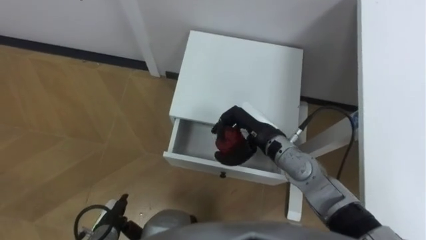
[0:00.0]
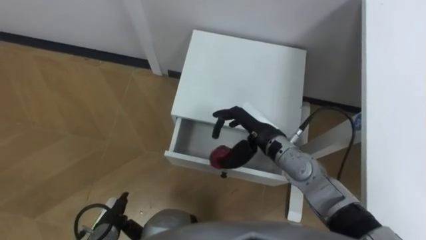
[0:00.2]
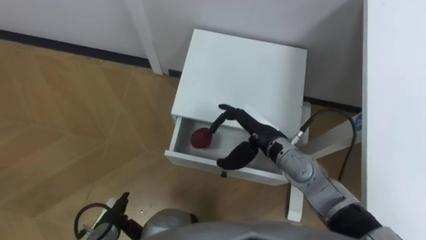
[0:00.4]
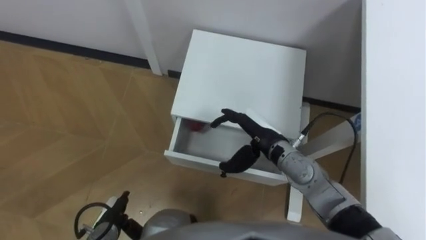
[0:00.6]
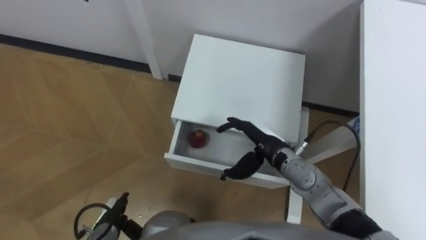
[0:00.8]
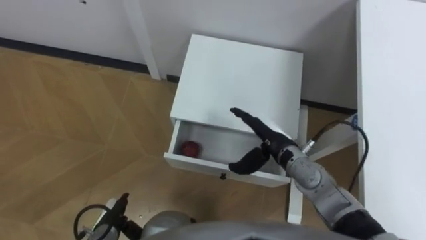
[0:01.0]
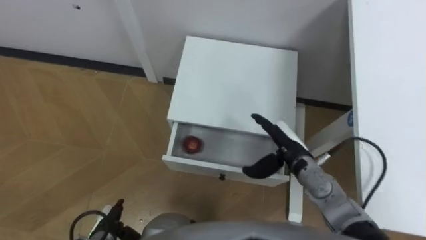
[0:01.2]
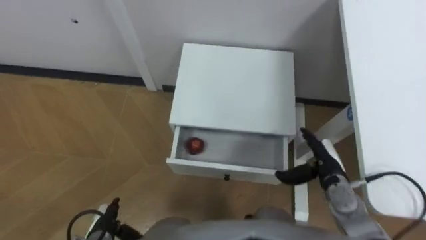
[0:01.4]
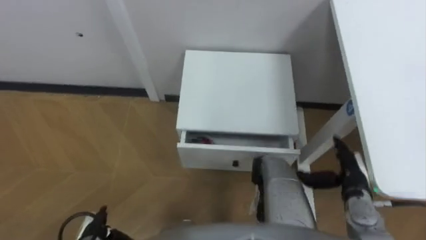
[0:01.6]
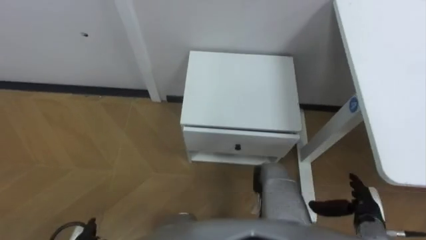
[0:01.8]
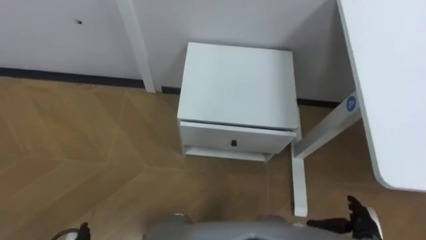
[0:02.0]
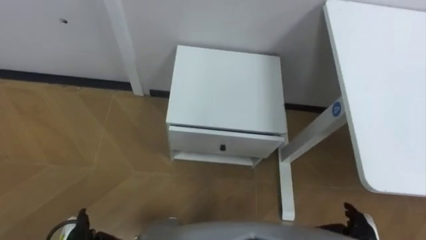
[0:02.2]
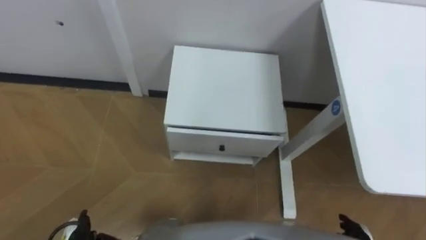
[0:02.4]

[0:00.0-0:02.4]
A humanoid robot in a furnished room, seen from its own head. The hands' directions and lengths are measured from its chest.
Task of the whole recording: Pick up the apple from the table, put it in the drawer, and close the drawer with leg.
0:00.0 to 0:01.2: The right hand shifts approximately 5 cm to the right, and opens its fingers.
0:01.2 to 0:02.4: The right hand shifts about 25 cm backward, to the right and downward.
